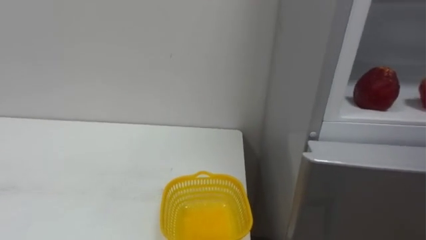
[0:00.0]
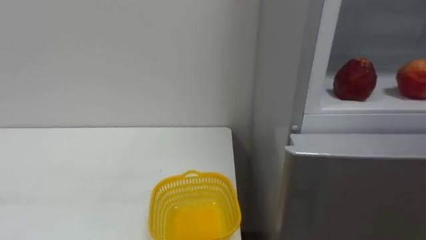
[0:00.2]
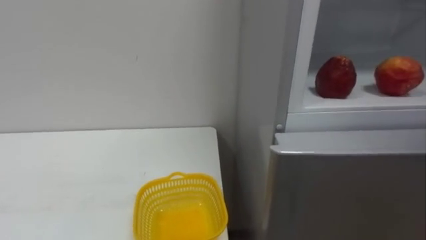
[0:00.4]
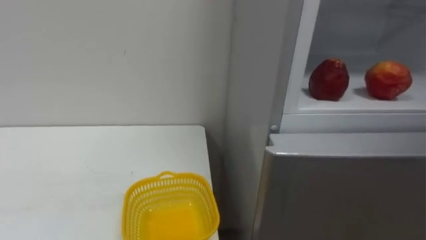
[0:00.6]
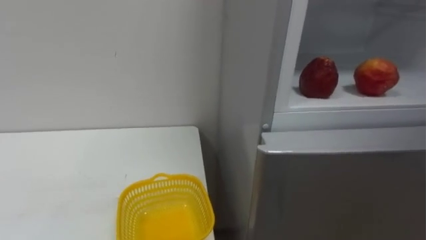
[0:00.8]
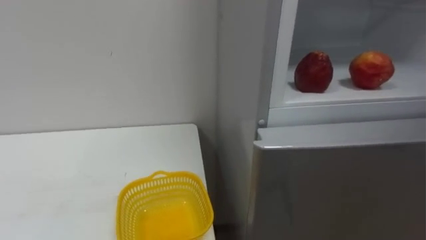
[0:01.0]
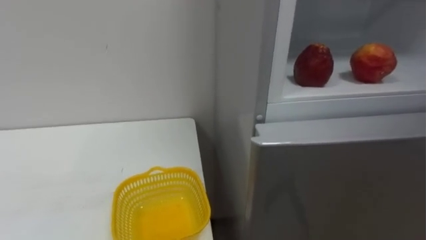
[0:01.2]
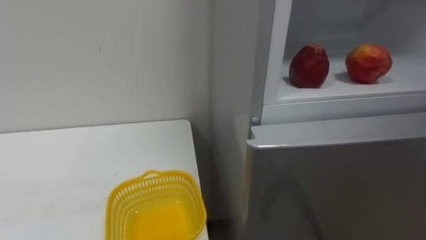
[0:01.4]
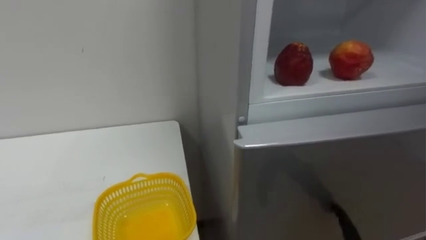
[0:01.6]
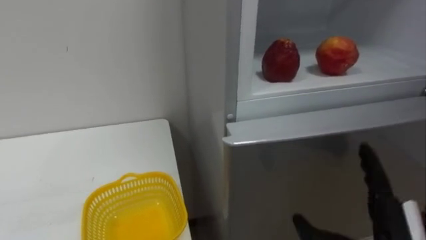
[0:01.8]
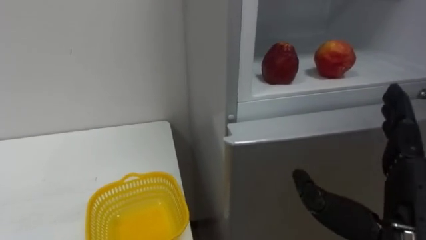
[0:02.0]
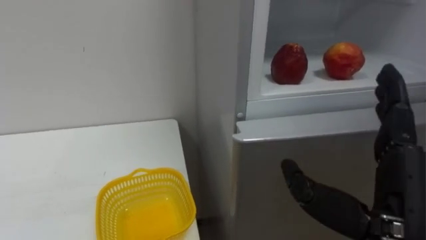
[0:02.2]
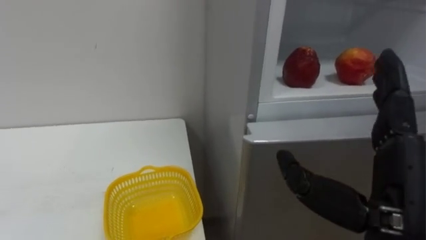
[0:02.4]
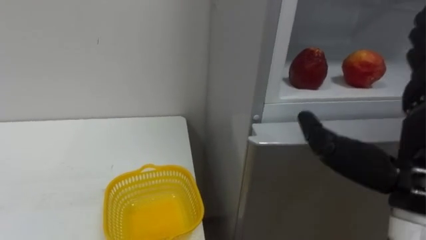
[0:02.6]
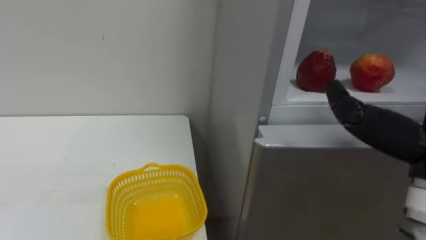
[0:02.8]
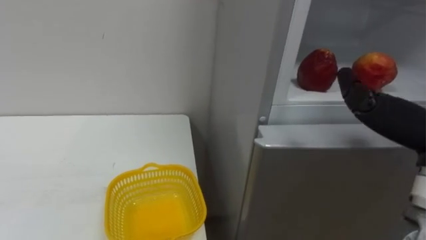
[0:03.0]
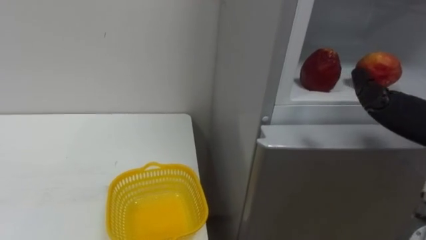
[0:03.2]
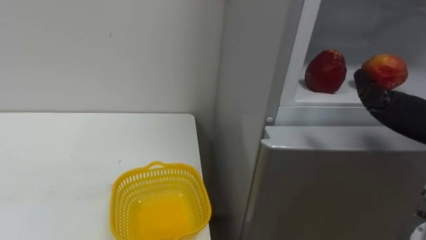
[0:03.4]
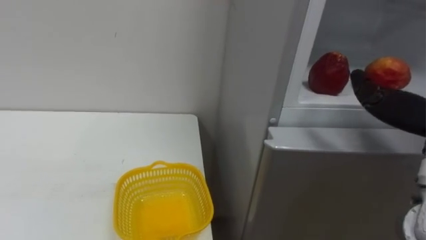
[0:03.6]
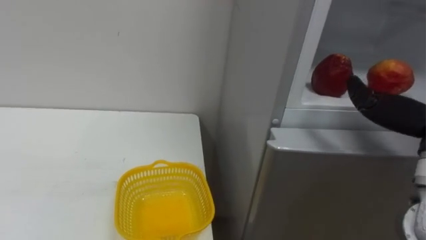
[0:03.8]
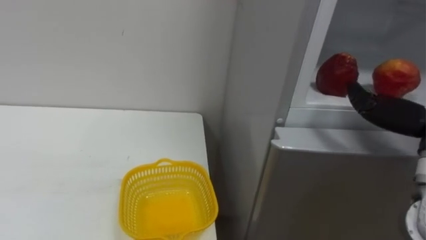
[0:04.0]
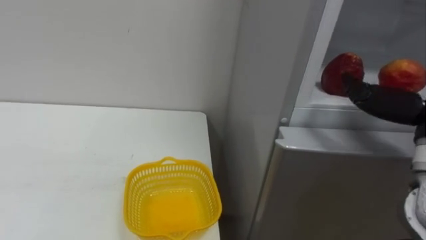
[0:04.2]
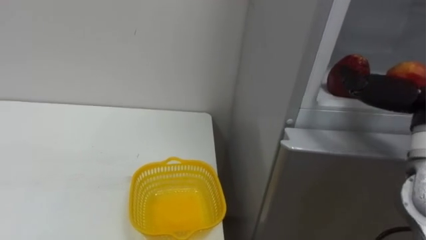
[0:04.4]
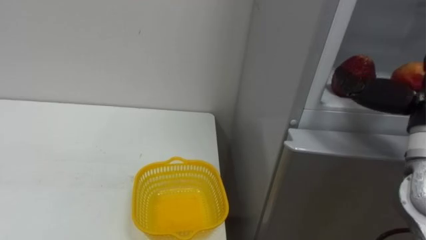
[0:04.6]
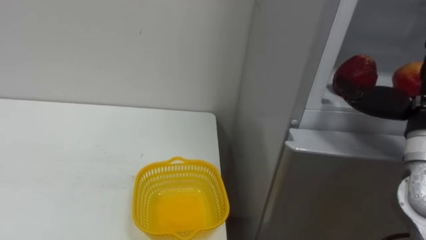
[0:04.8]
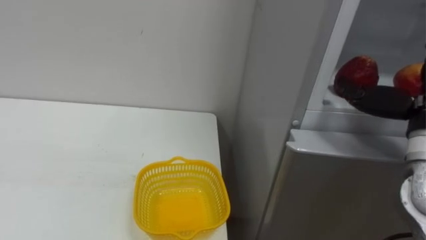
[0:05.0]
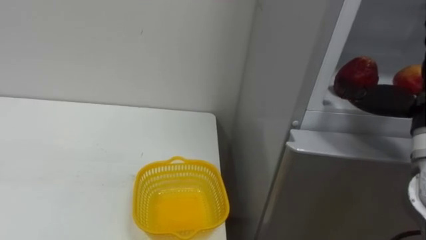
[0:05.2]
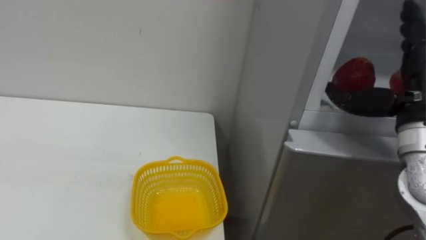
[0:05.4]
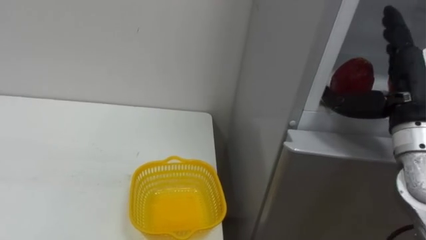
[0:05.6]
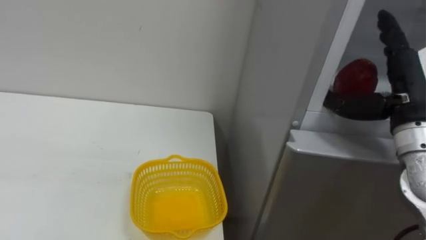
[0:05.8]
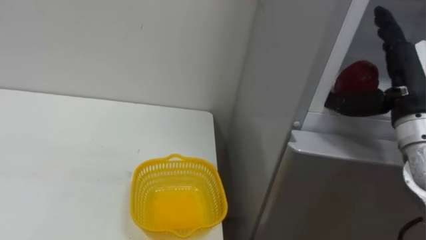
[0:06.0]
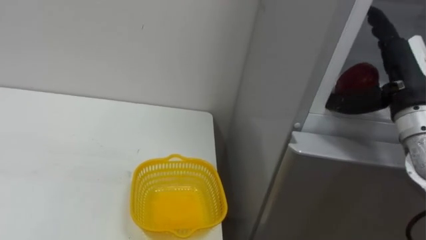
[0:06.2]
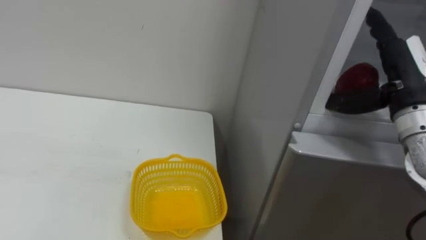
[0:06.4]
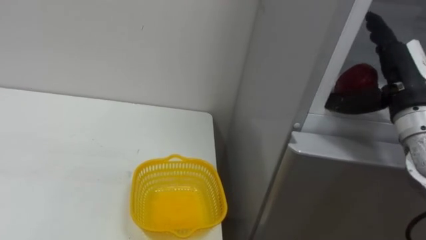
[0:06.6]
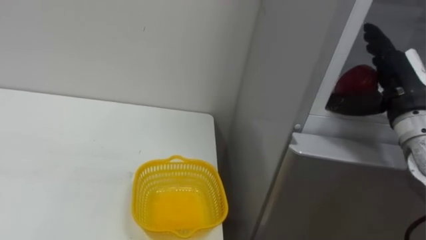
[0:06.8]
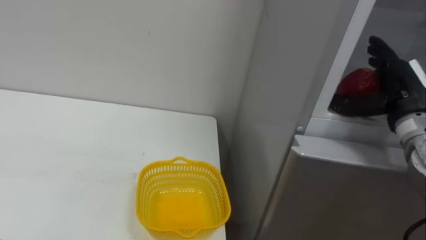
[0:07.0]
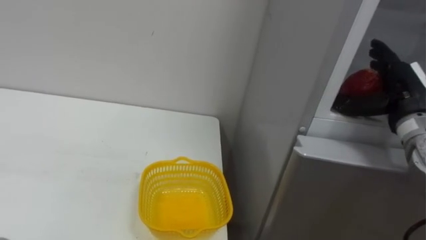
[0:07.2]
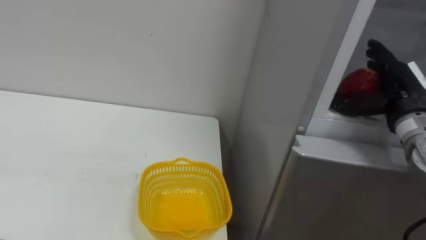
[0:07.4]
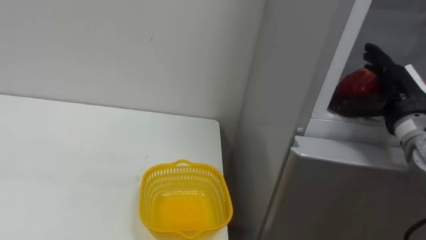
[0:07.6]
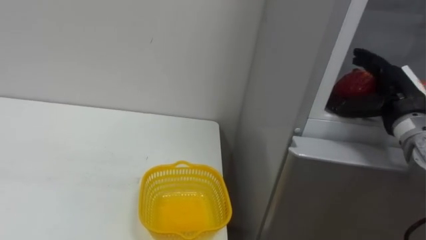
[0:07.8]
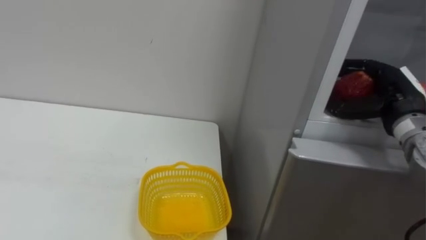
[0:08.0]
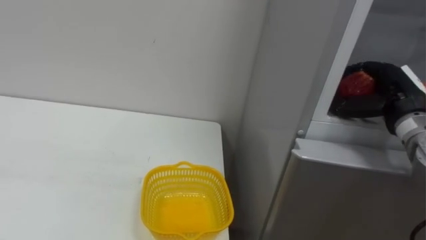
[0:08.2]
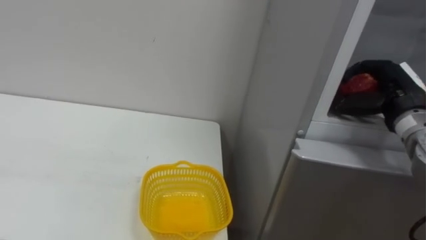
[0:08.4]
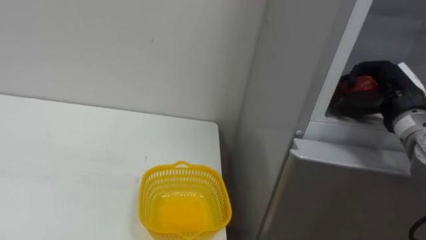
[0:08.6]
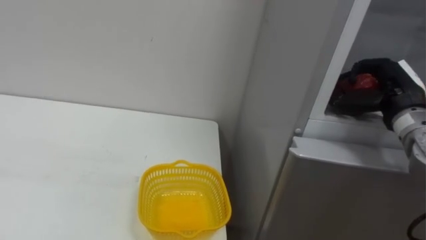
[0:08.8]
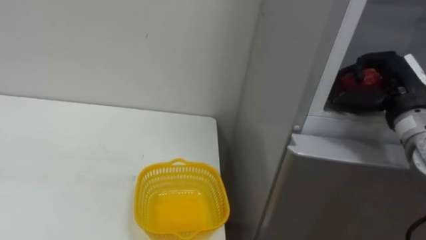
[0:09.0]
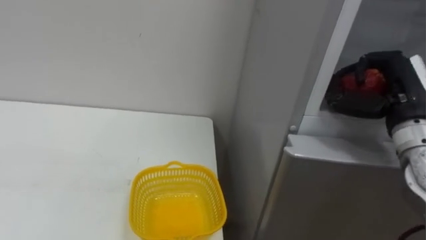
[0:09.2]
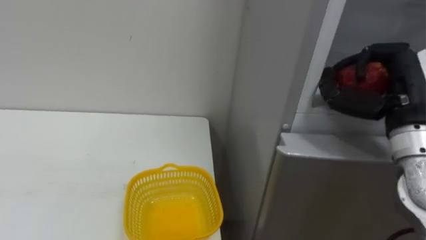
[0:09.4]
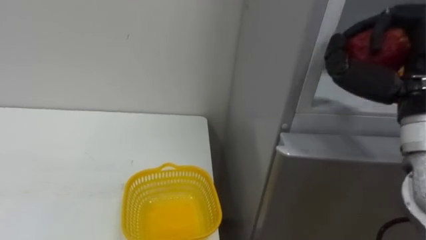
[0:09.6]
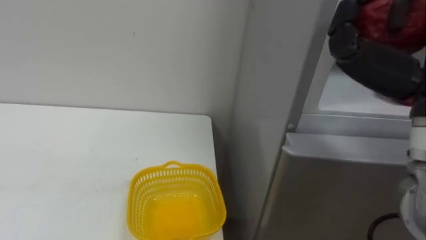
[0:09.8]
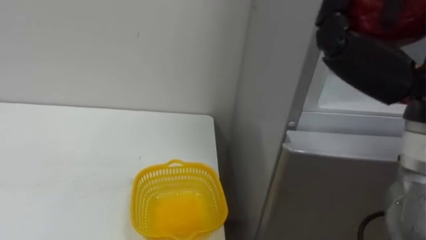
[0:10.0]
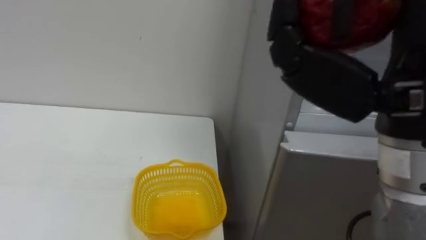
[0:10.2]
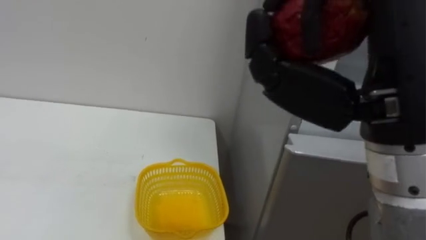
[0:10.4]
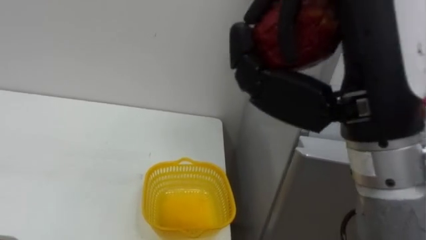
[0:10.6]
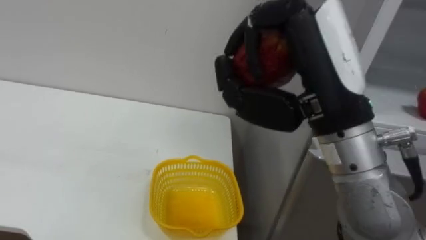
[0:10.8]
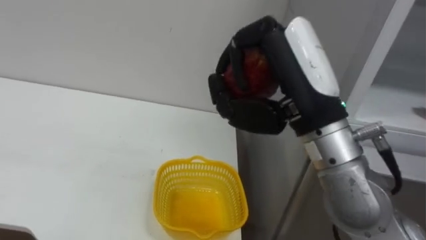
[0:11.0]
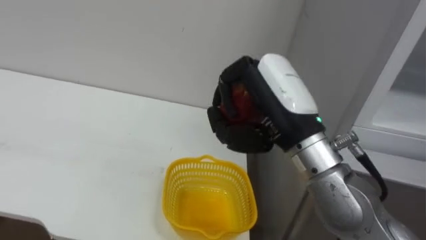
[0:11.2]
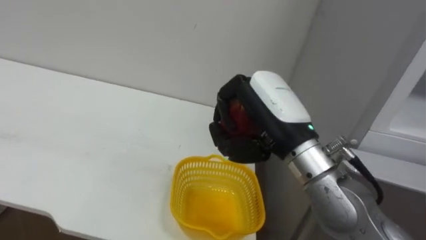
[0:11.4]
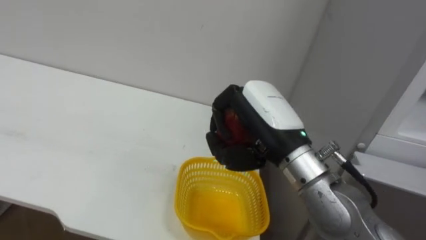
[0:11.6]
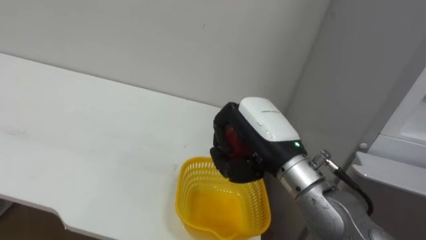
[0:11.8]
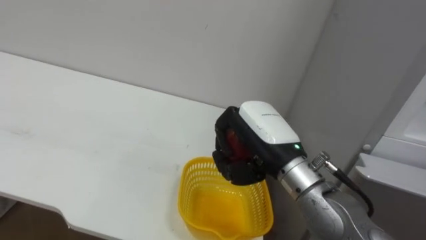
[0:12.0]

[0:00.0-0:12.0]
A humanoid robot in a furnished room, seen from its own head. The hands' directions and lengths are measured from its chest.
Task of the whole recording: Open the refrigerator door, take out the apple and the pomegranate, place them in the fruit basket on the left, and close the refrigerator door.
0:06.0 to 0:07.6: The right hand moves about 5 cm.
0:07.6 to 0:09.0: The right hand closes its fingers.
0:10.4 to 0:12.0: The right hand travels downward, forward and to the left by about 20 cm.

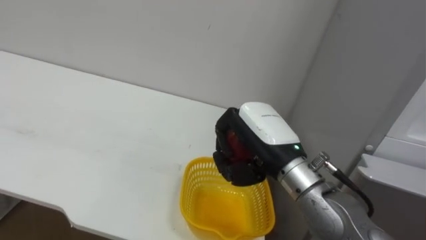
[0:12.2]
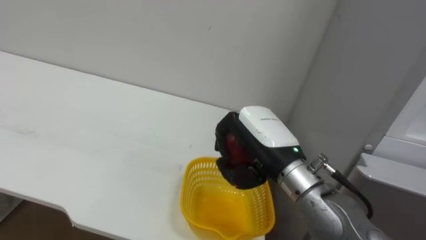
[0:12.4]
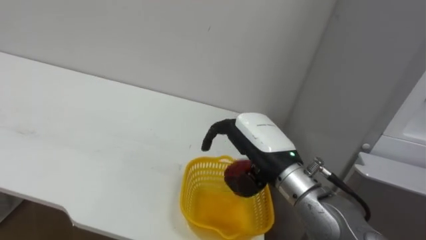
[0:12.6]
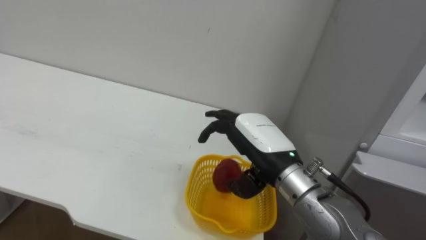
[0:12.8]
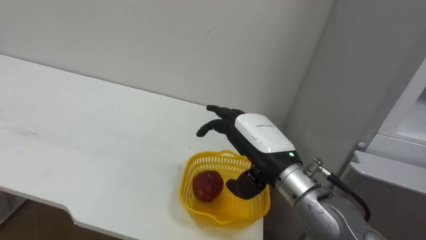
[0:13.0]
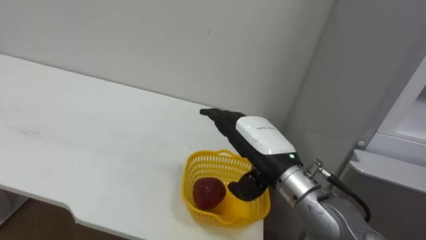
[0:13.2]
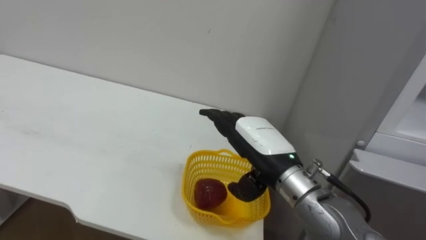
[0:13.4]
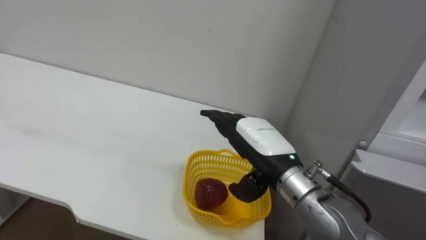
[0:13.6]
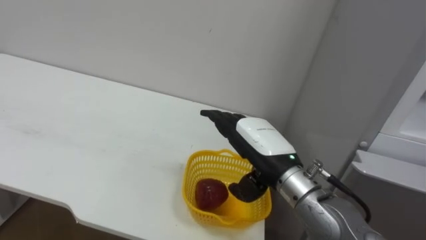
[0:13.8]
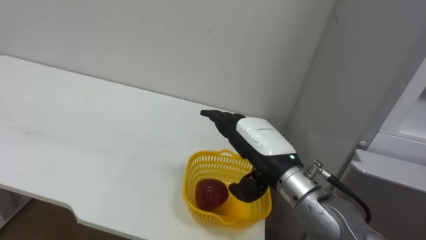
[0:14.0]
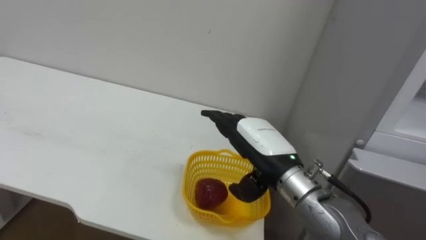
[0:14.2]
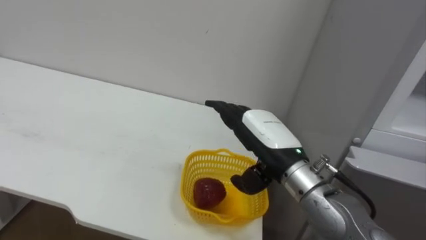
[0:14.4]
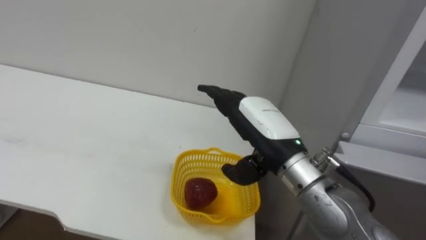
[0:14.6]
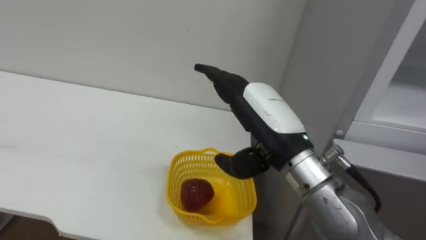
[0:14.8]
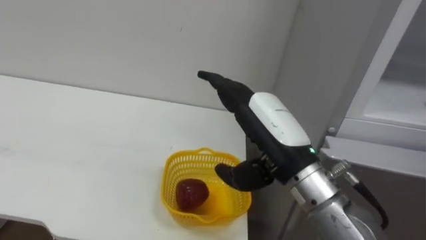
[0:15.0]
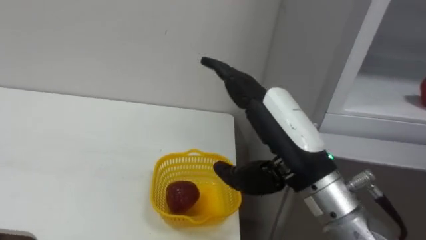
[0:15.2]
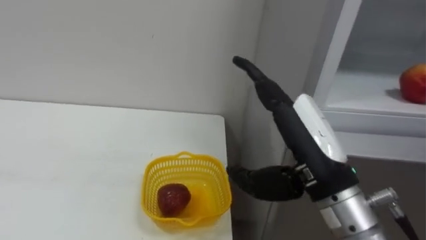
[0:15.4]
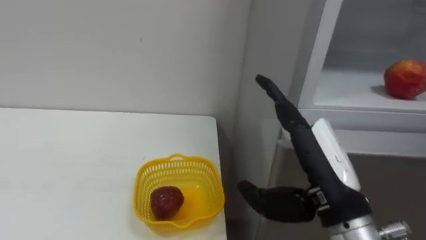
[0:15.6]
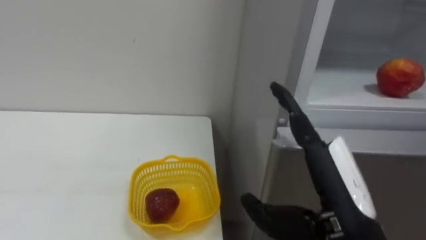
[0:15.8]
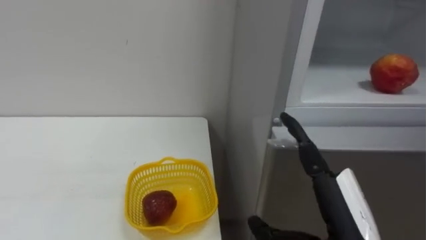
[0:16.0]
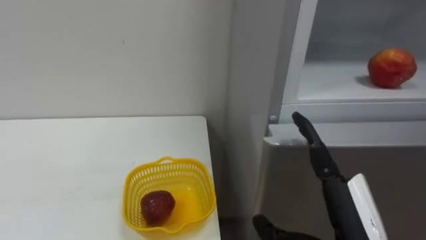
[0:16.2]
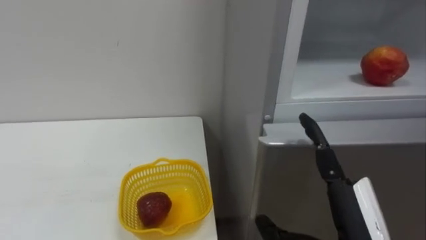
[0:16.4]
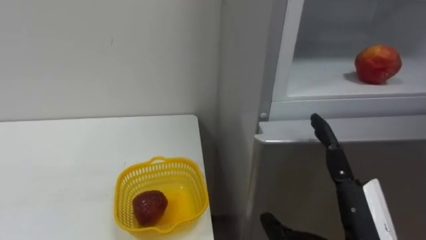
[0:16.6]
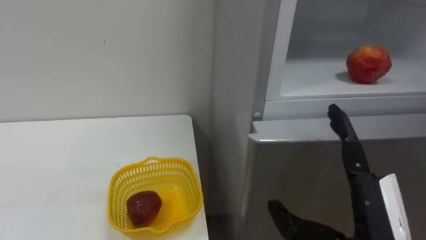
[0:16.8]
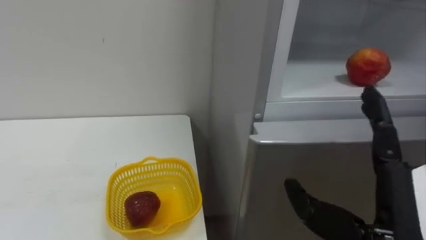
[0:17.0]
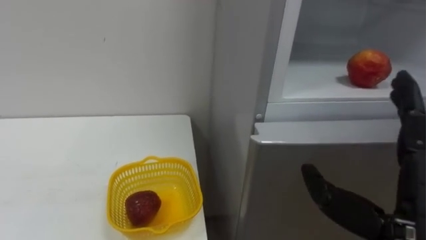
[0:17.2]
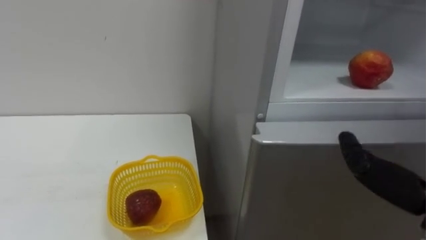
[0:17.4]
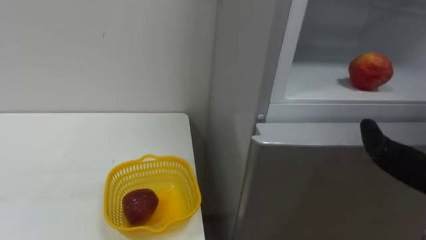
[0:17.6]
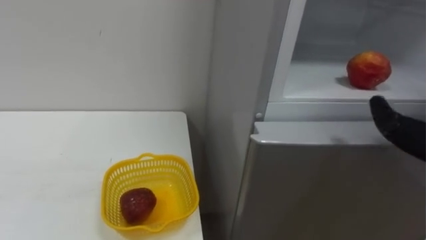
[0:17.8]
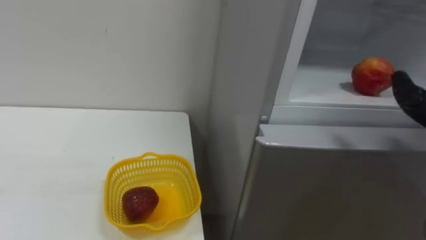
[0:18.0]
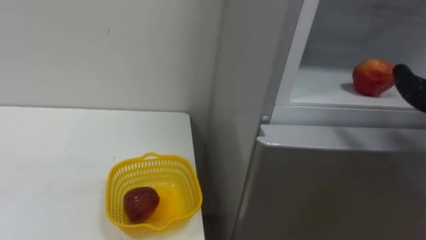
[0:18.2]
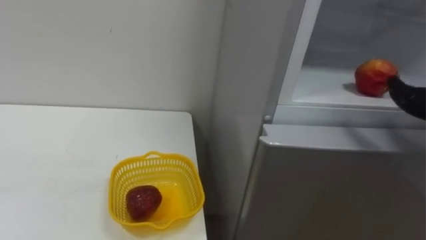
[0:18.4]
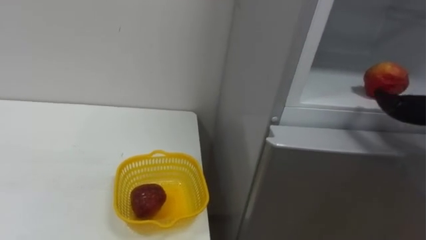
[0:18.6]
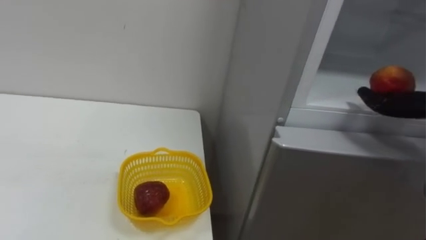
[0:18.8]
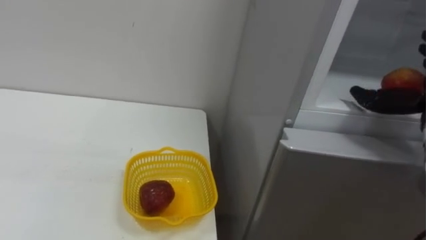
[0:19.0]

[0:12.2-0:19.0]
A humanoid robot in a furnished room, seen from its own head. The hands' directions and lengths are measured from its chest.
Task of the whole recording: Open the refrigerator door, take out the apple and the pomegranate, place them in the fruit basket on the left, and close the refrigerator door.
0:12.2 to 0:13.6: The right hand opens up.
0:13.6 to 0:15.0: The right hand is displaced upward by some 5 cm.
0:15.0 to 0:16.2: The right hand heads backward, to the right and downward, covering approximately 15 cm.
